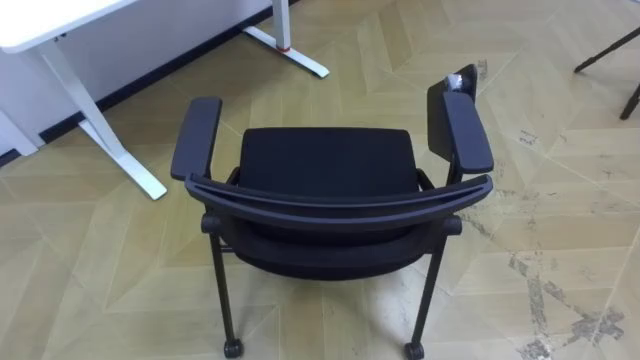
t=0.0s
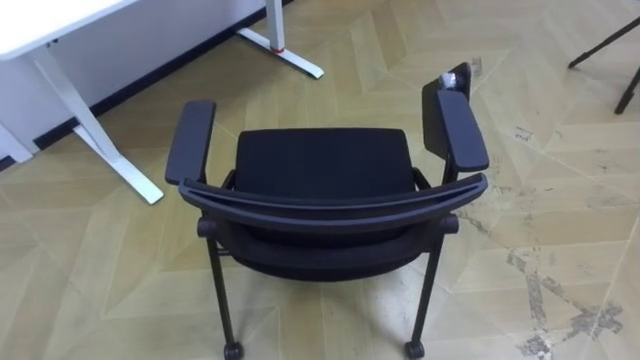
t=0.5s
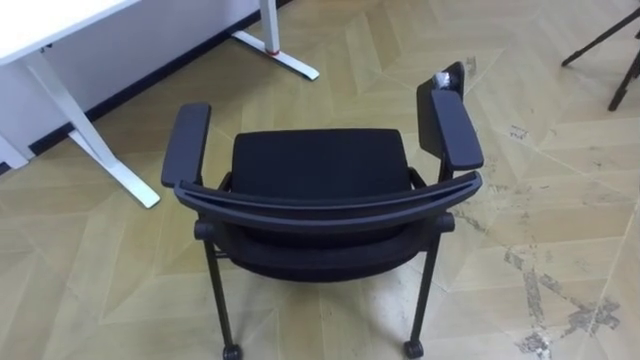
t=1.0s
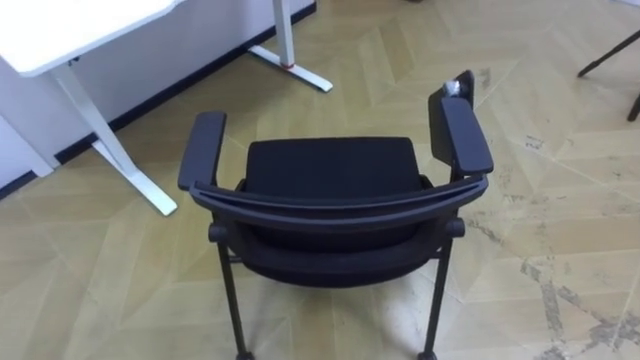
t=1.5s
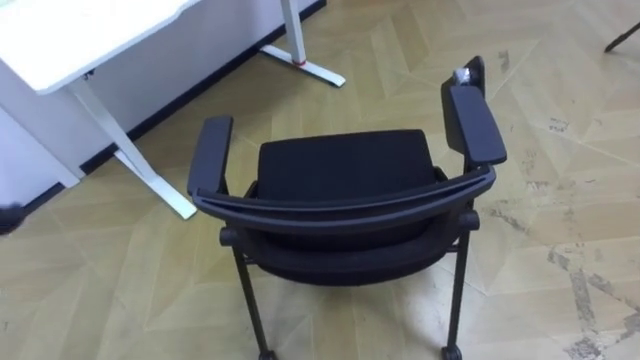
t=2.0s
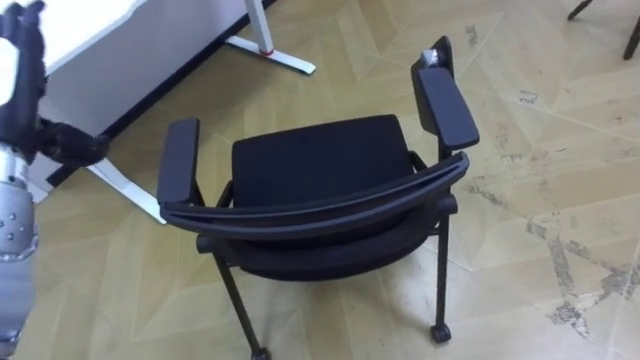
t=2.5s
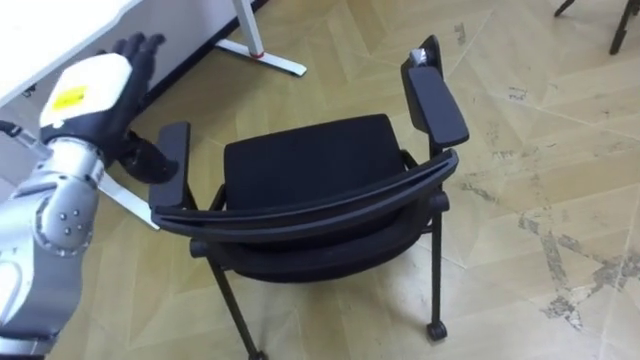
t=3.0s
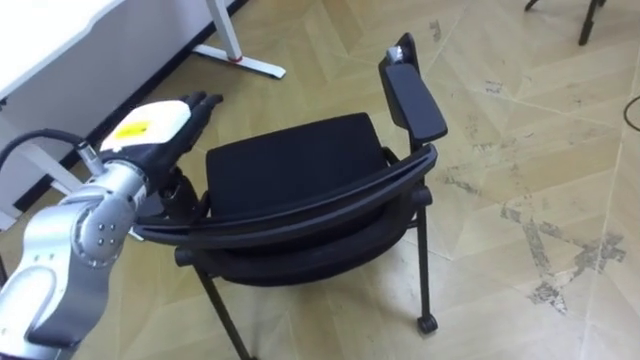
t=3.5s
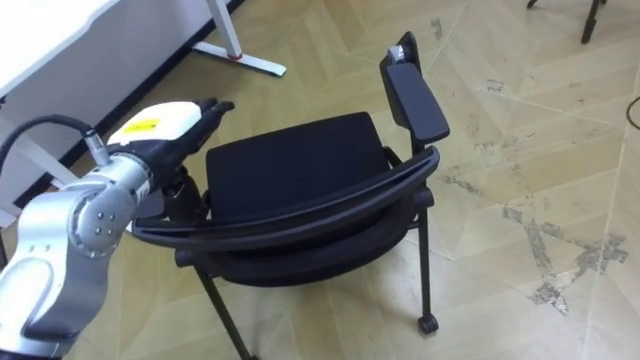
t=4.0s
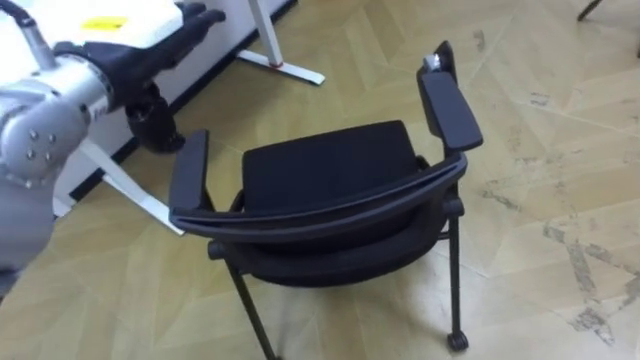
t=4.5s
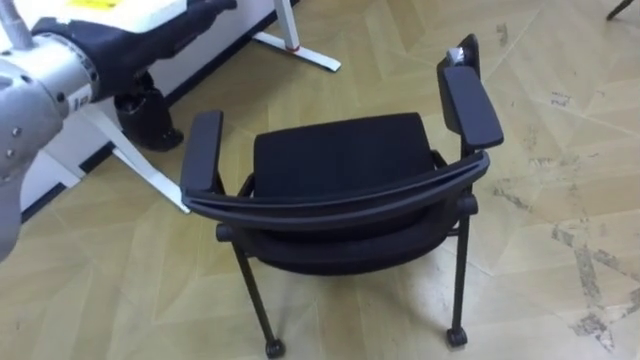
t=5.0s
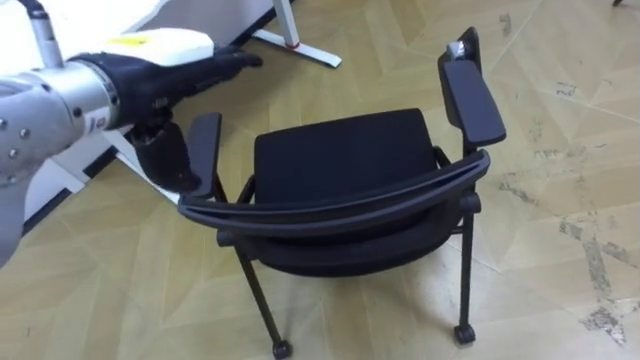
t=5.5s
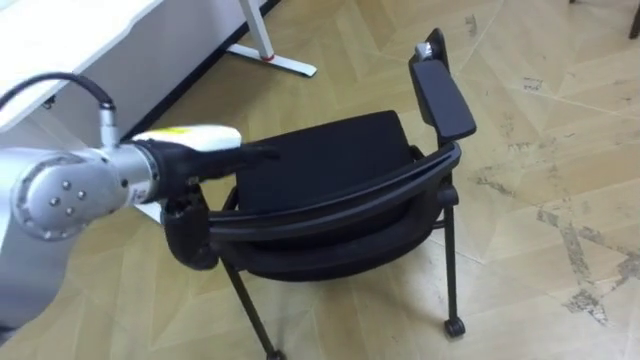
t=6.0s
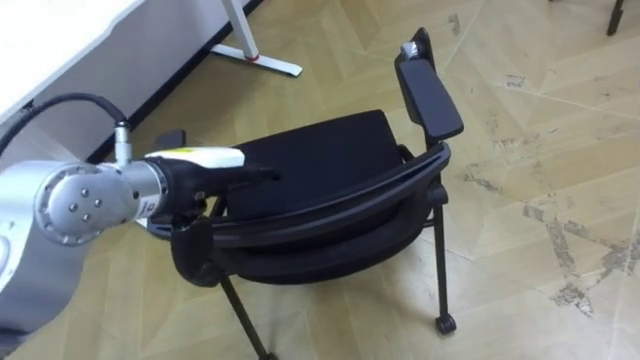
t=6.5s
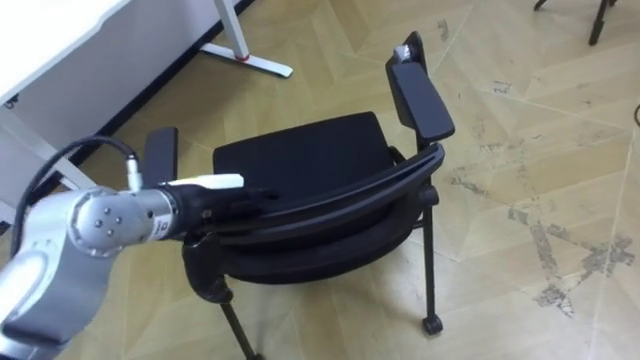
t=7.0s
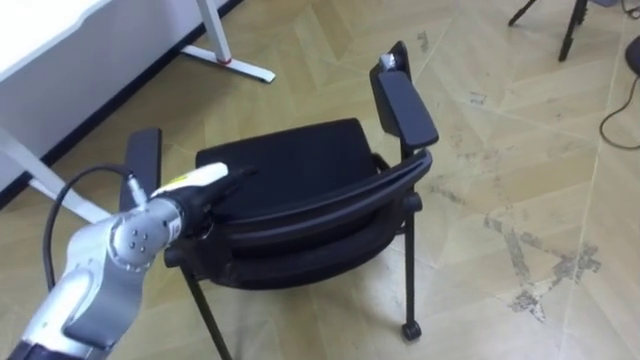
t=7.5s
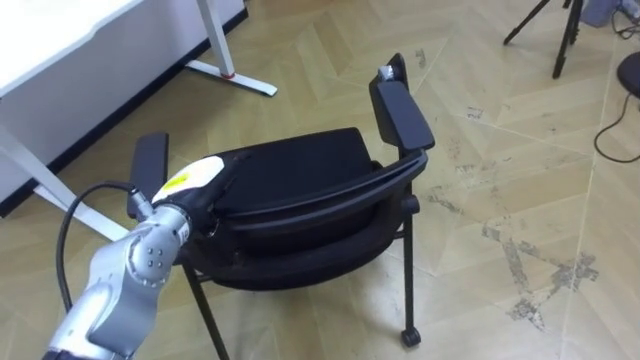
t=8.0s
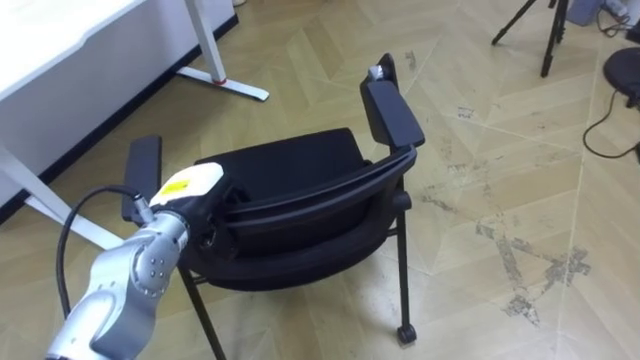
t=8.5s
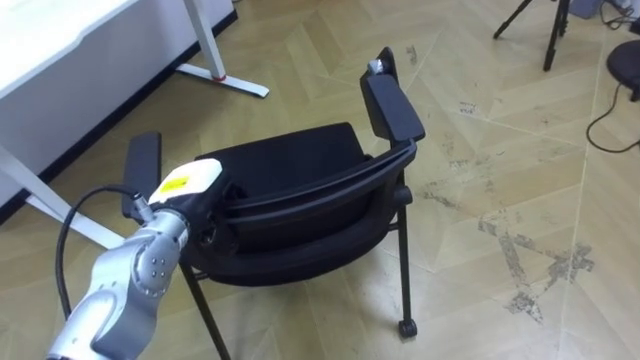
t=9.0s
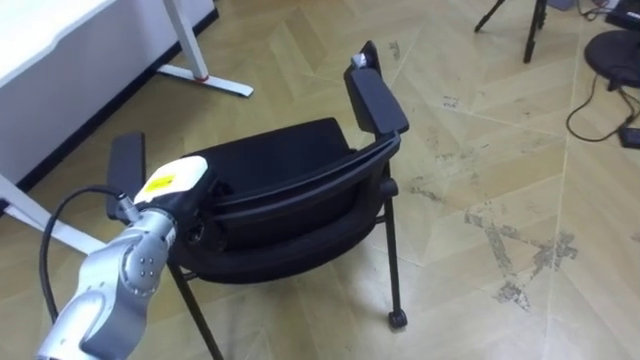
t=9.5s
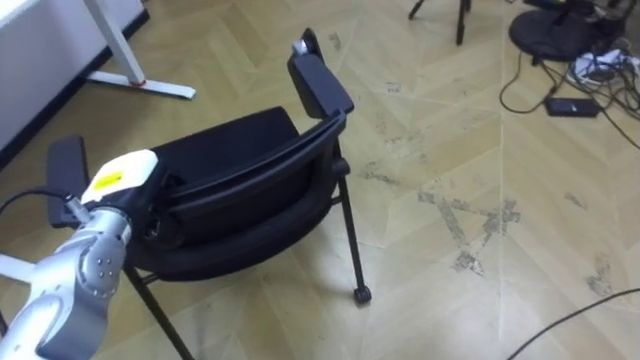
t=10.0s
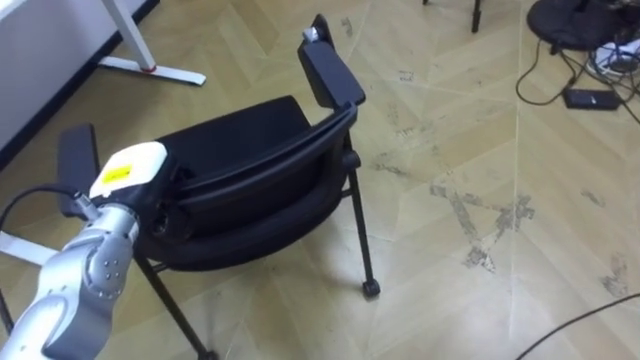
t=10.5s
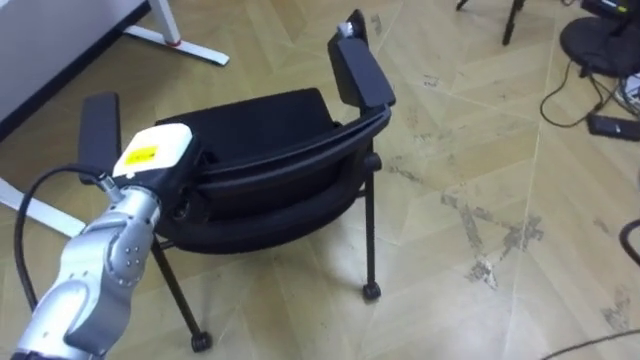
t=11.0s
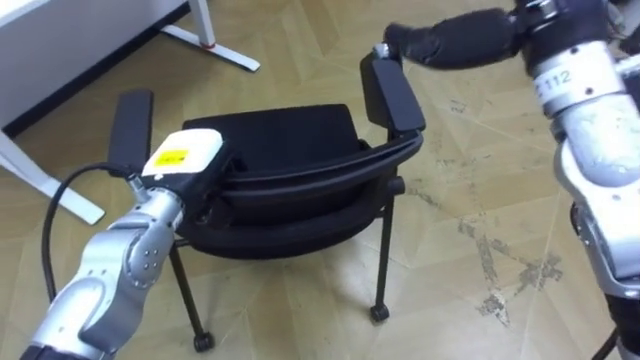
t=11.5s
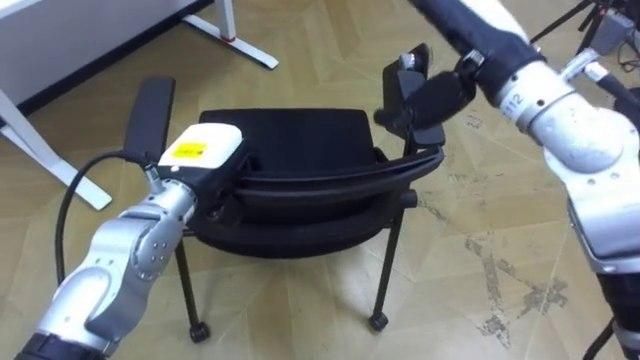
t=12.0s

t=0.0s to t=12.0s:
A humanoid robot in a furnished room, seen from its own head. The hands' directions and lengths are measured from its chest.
Task of the whole recording: Push the chair under the table.
t=4.0s to t=6.0s: The left hand goes upward and returns, about 15 cm each way.
t=6.0s to t=8.0s: The left hand shifts about 10 cm downward.
t=8.0s to t=10.0s: The left hand moves to the left, approximately 10 cm, and closes up.
t=10.0s to t=12.0s: The left hand heads to the right, covering some 10 cm.

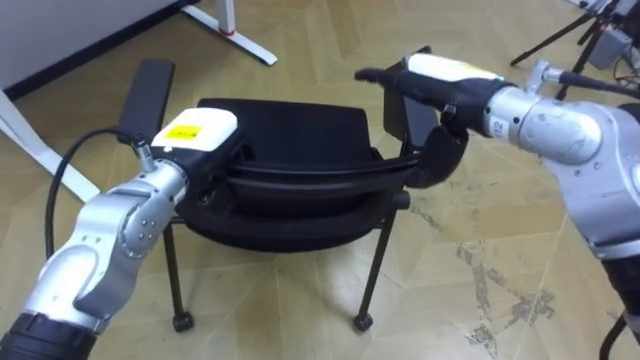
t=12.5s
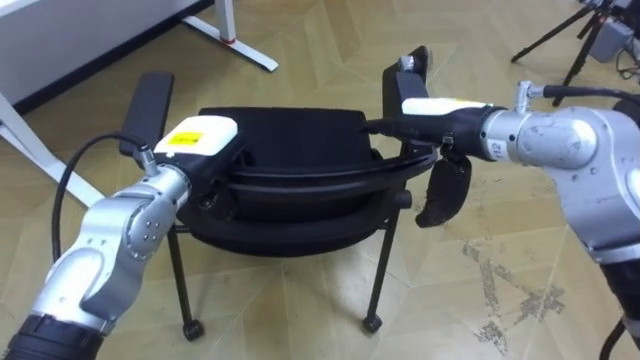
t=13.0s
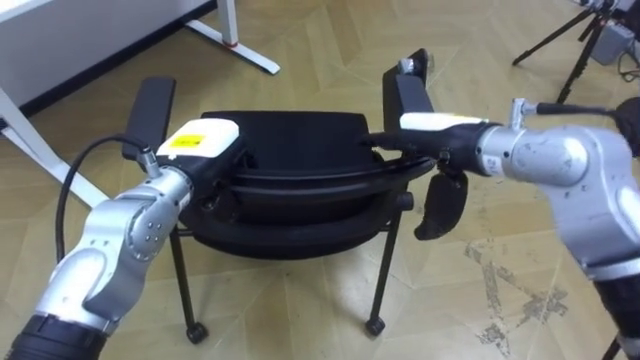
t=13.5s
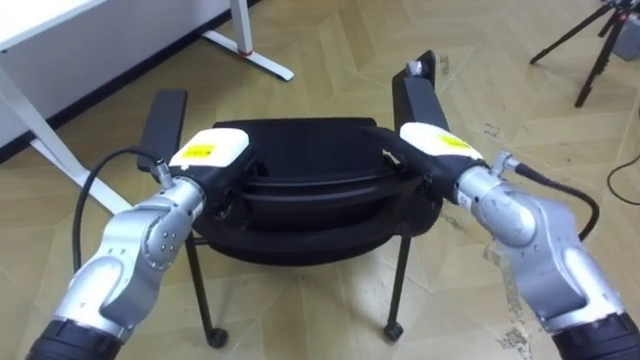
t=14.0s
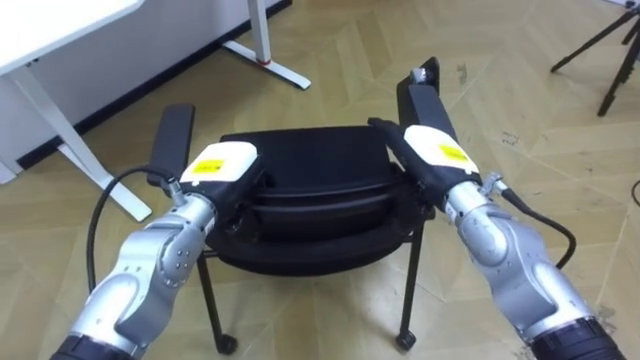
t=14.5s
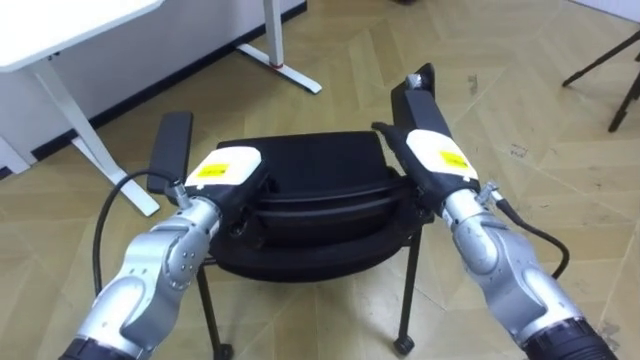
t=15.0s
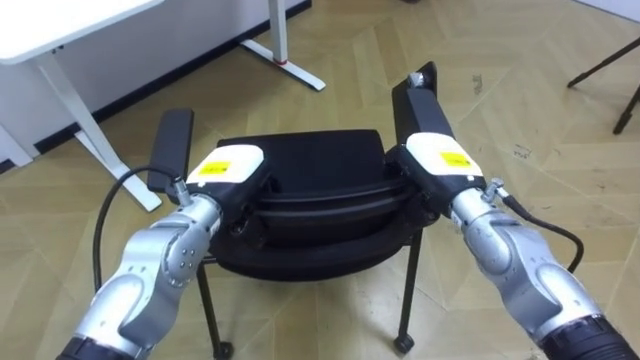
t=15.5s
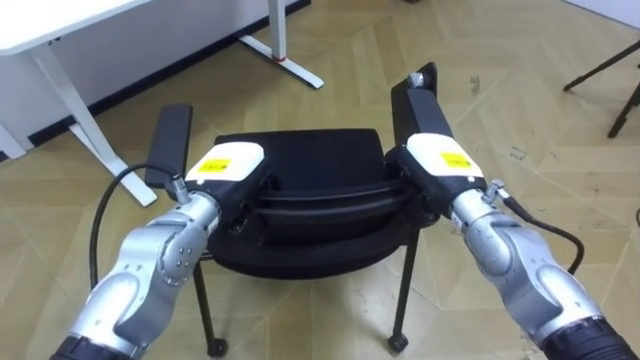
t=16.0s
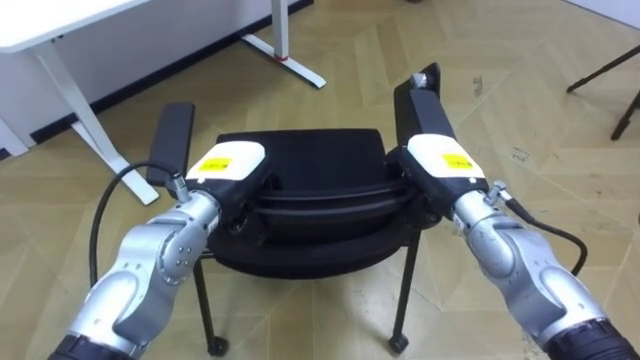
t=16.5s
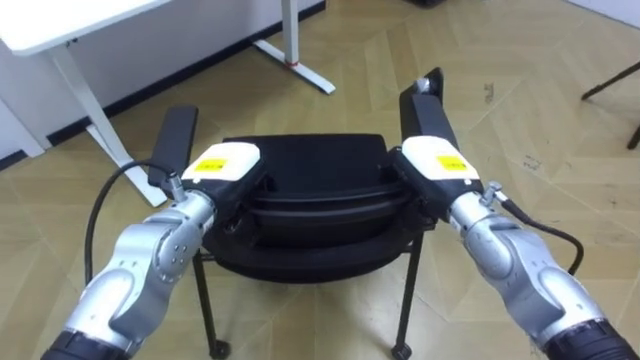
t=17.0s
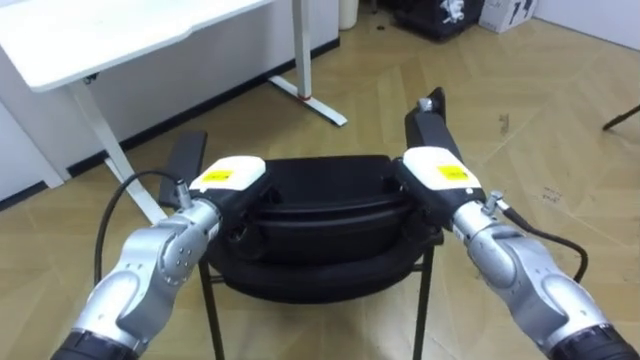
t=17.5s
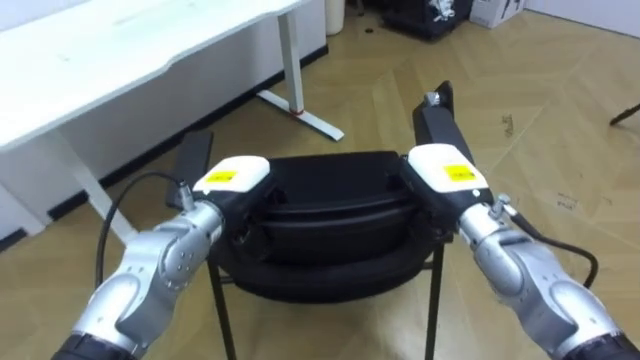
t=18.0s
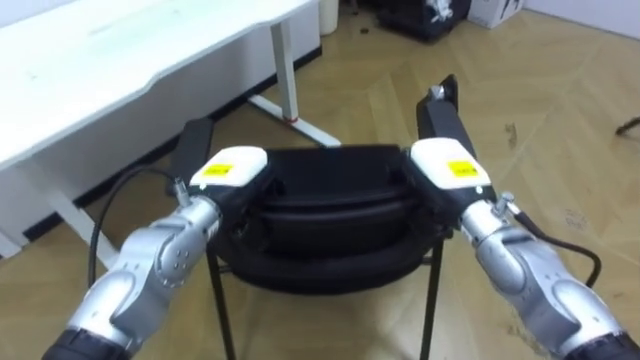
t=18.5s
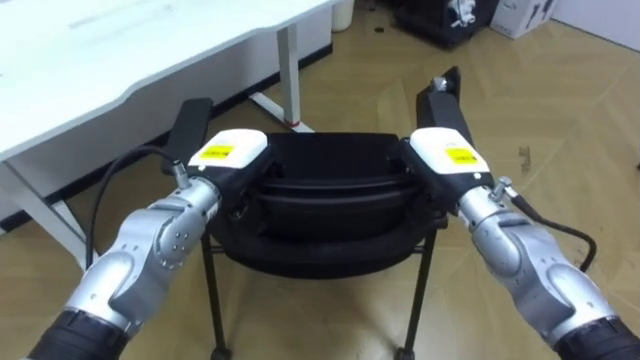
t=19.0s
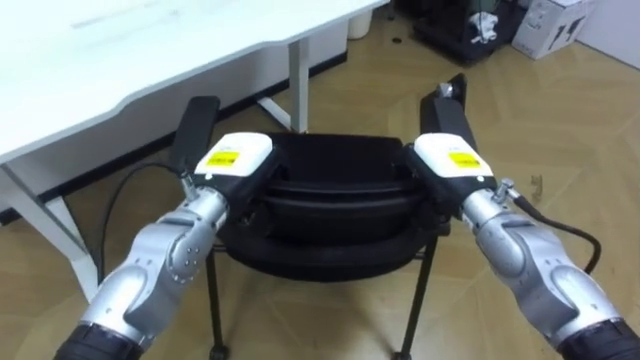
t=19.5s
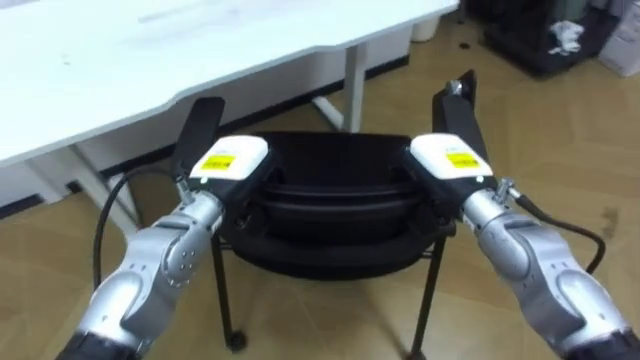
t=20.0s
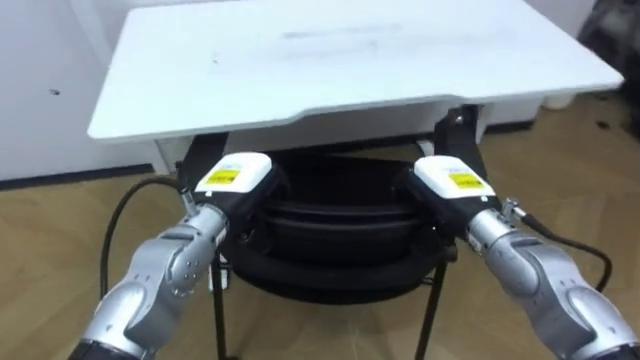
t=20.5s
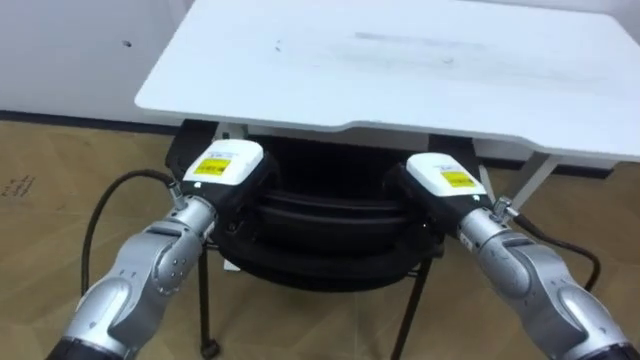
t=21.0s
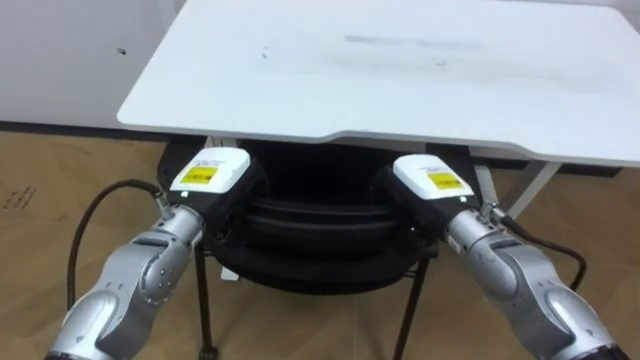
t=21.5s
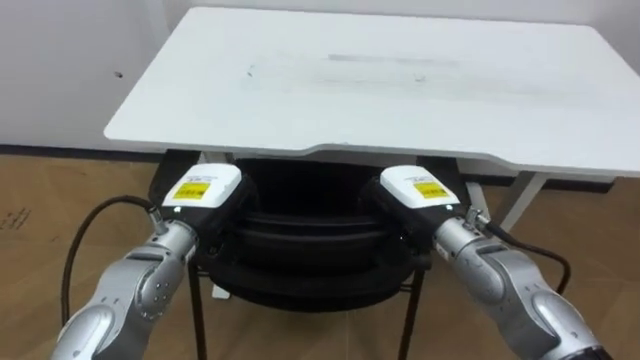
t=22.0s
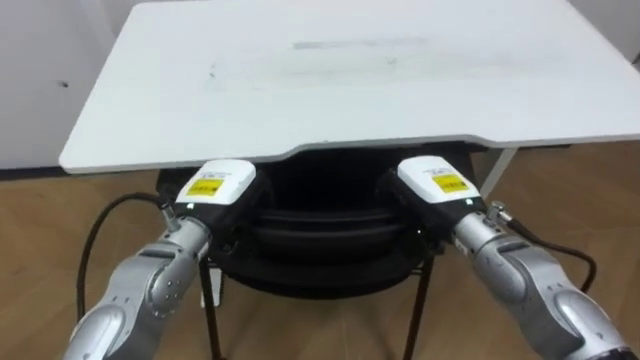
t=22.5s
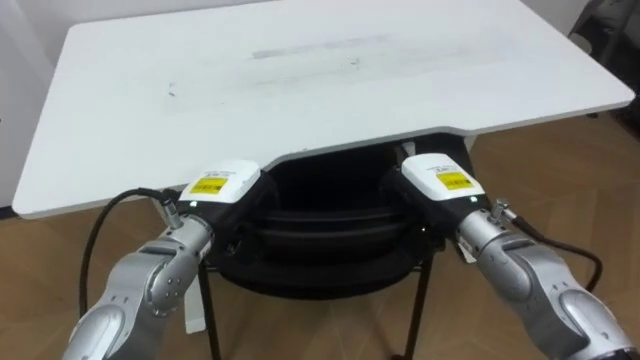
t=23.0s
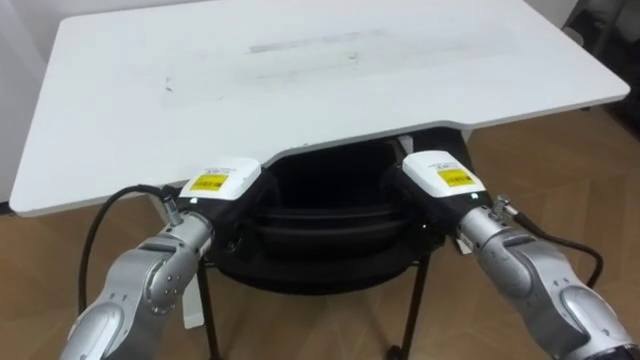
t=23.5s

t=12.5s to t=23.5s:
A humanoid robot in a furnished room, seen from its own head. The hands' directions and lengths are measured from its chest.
Task of the whole recording: Push the chair under the table.
t=12.5s to t=14.5s: The left hand moves about 5 cm. The right hand heads downward, covering roughly 10 cm.
t=14.5s to t=16.0s: The right hand closes its fingers.
t=18.0s to t=20.0s: The robot rotates some 20 degrees to its left.
t=20.0s to t=21.5s: The robot faces roughly 25 degrees further to its left.
t=21.5s to t=23.5s: The robot turns to its right by some 20 degrees.
